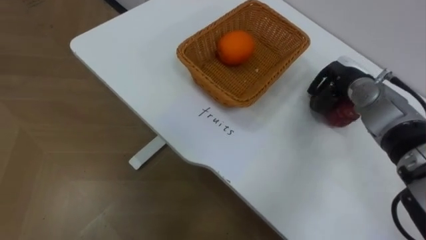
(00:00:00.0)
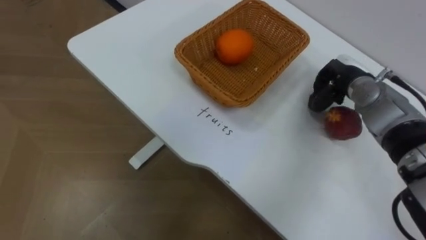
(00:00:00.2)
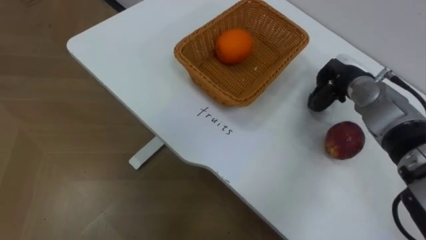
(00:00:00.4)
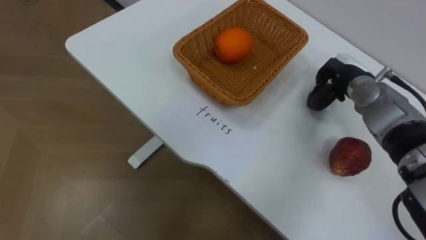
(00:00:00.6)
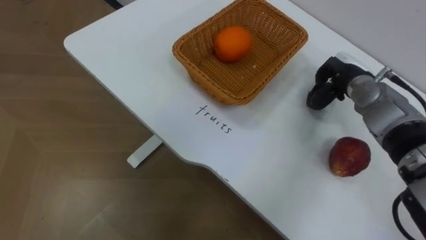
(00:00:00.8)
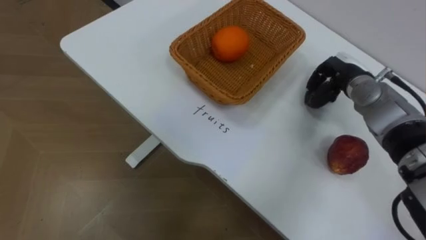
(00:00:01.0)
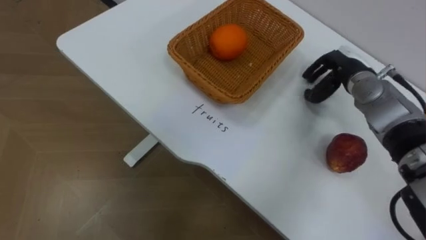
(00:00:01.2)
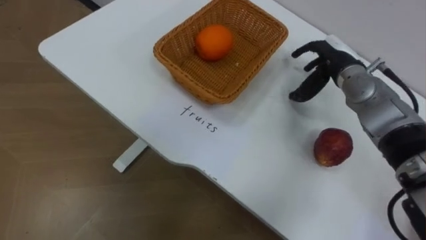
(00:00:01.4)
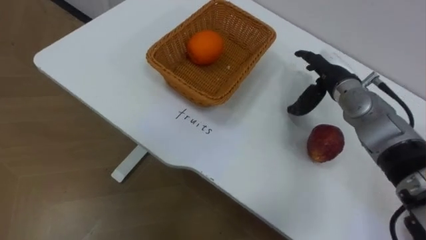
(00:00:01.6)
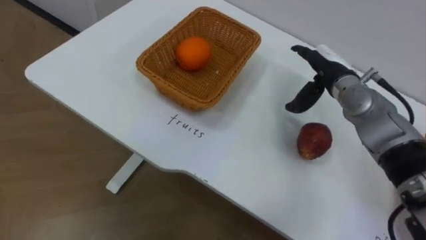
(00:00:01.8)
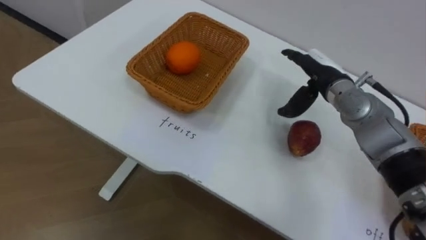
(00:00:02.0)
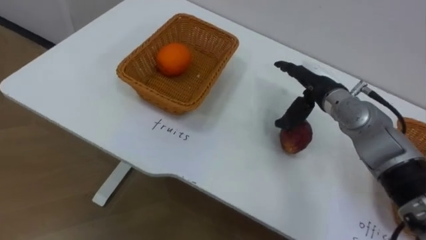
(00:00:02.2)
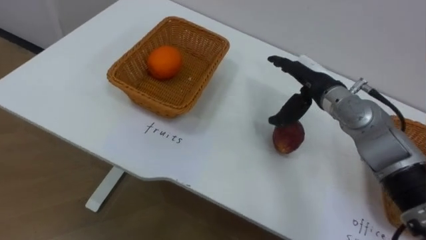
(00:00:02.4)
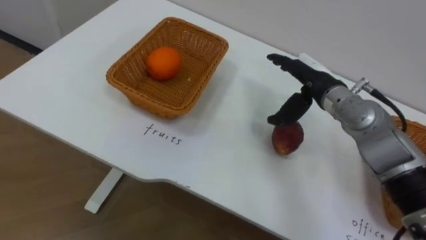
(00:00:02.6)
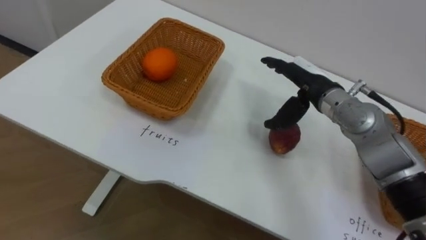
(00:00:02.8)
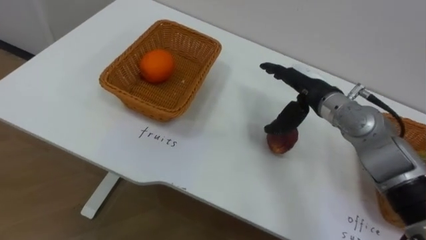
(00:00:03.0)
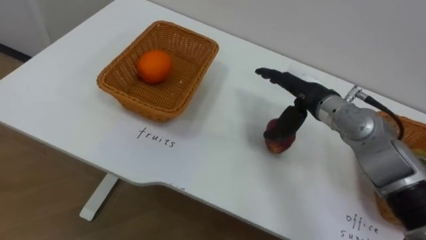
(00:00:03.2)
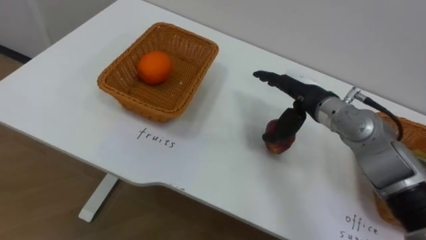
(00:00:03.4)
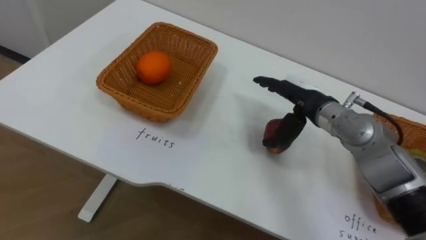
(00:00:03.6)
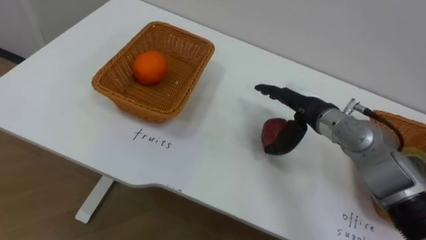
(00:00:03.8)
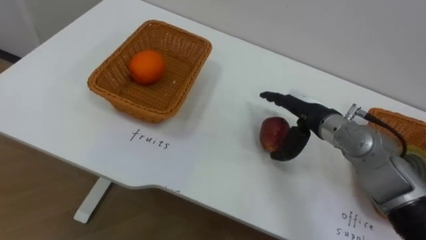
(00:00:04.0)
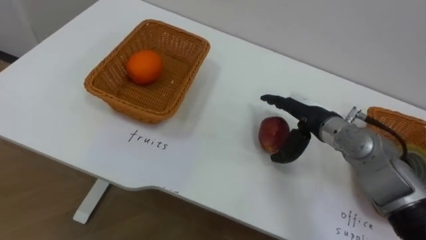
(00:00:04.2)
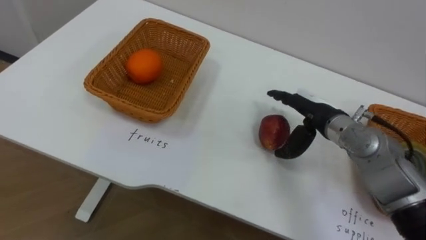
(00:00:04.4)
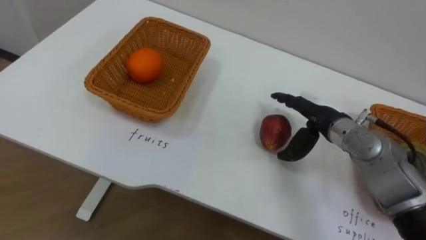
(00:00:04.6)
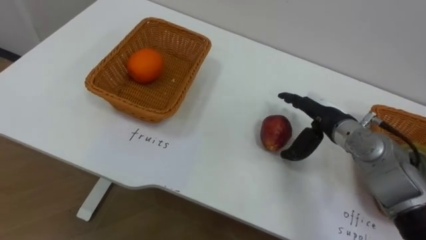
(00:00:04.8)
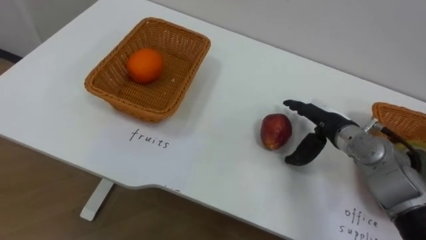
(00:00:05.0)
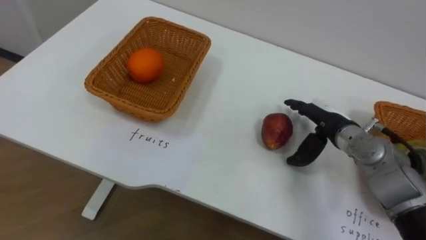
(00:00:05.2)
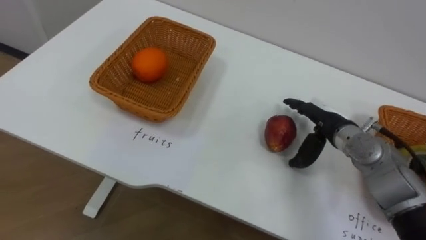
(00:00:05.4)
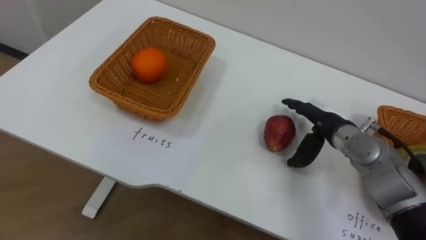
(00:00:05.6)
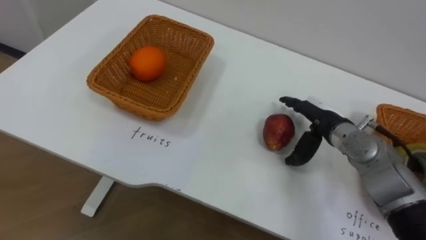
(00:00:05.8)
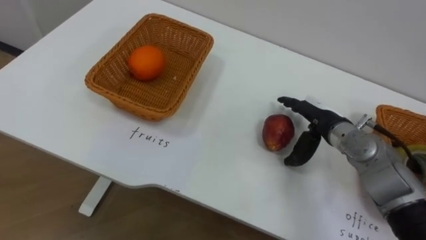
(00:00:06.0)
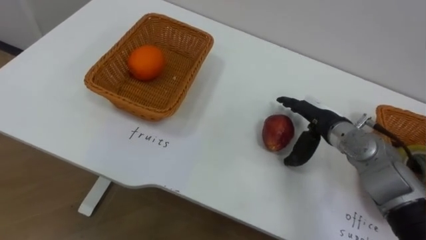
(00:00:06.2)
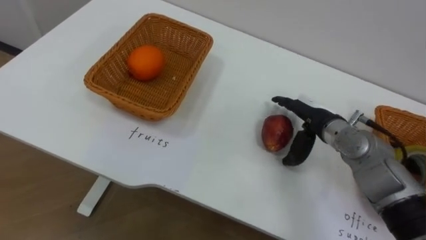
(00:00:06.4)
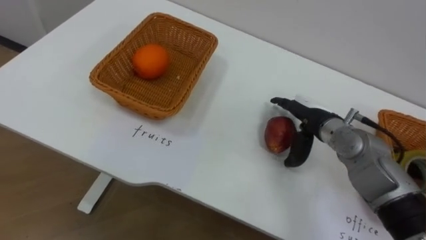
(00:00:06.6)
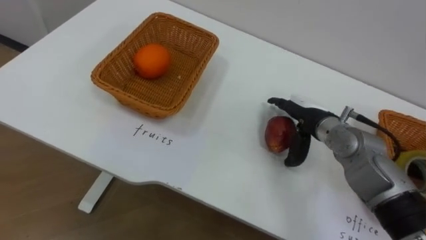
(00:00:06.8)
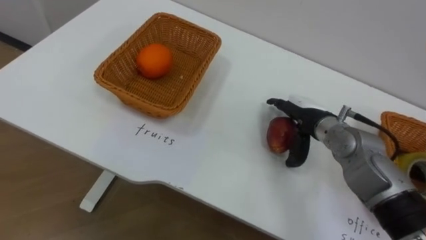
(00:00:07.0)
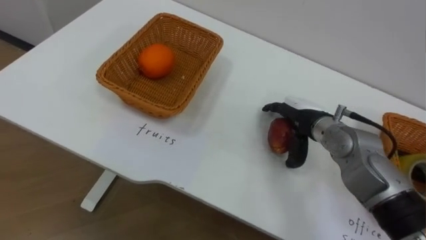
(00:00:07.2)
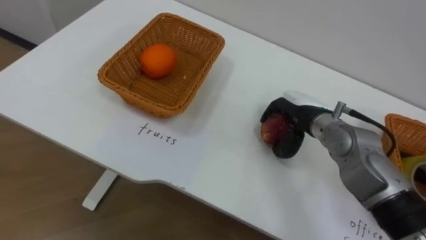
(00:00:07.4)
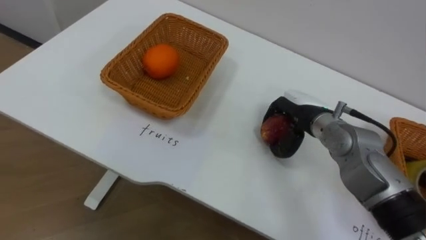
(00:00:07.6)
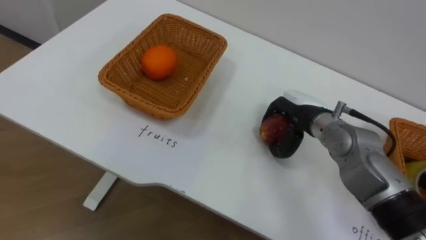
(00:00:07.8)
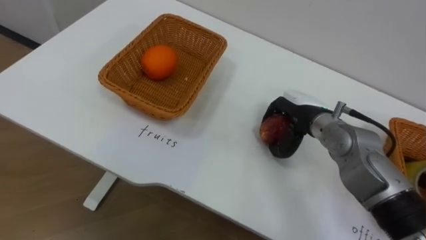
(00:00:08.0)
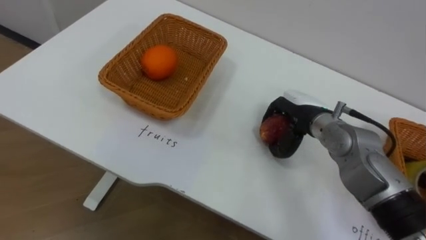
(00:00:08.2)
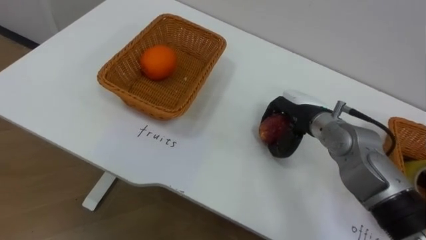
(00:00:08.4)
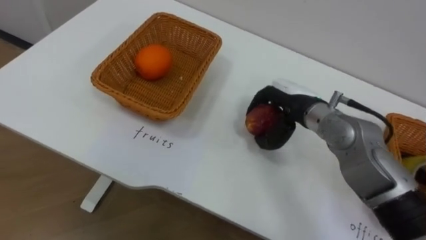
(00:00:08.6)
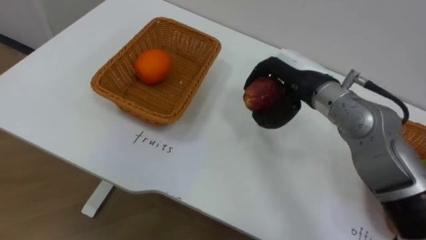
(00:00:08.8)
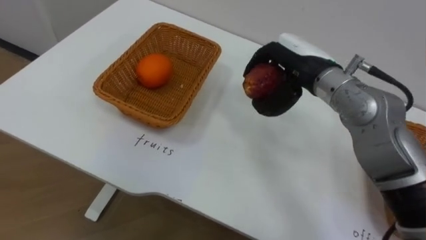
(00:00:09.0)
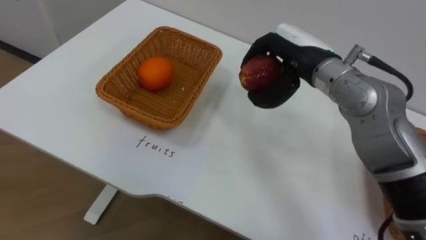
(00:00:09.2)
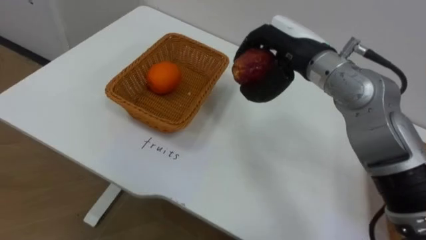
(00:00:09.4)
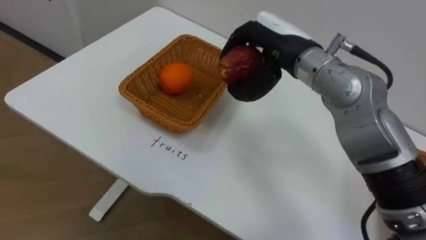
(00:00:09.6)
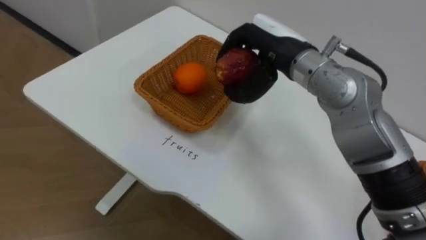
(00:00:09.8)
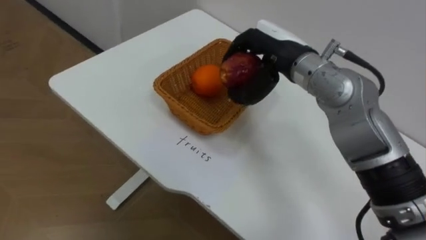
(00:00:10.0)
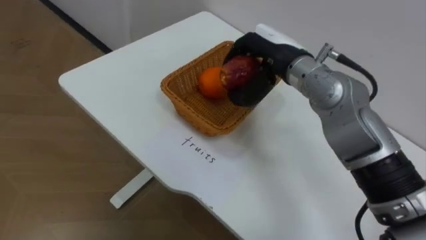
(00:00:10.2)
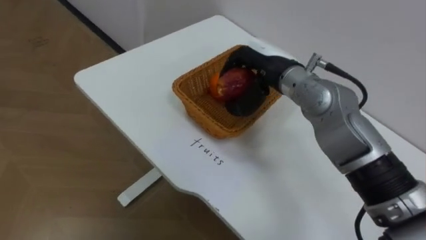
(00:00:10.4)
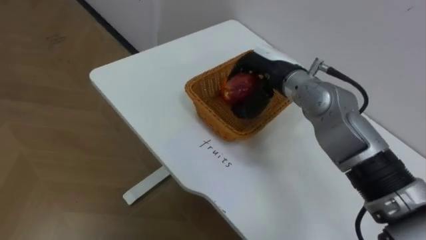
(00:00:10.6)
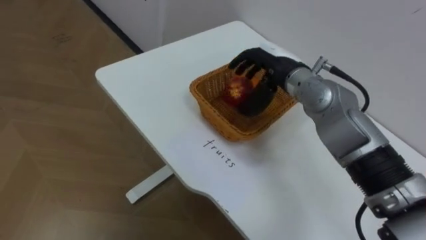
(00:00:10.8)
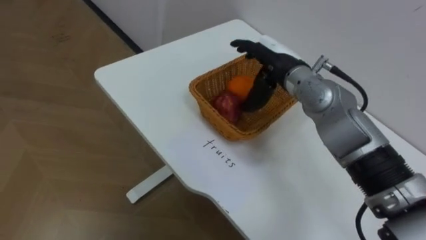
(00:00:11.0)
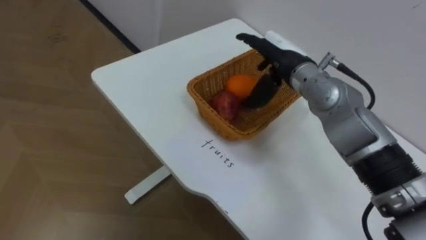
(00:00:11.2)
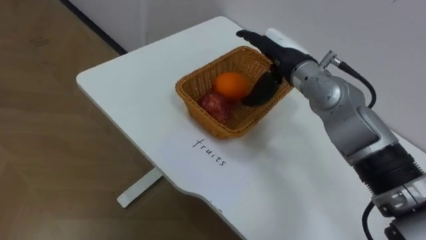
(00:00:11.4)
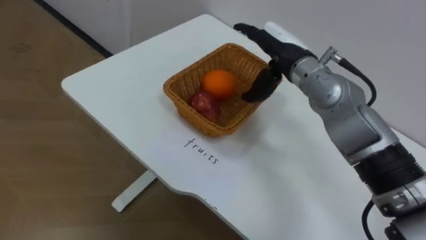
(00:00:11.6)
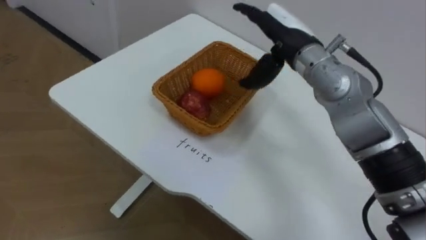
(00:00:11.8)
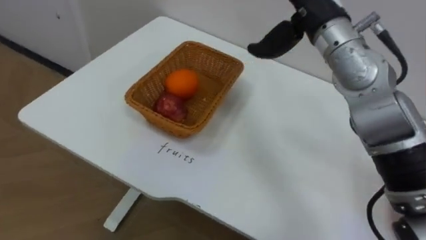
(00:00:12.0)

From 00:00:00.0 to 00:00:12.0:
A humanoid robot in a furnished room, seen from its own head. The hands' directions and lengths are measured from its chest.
Task of the whole recording: Separate the items on the table and place them into the two baskets.
From 00:00:00.0 to 00:00:01.6: The right hand opens.
From 00:00:01.6 to 00:00:03.0: The right hand heads to the left, covering about 5 cm.
From 00:00:03.0 to 00:00:04.4: The right hand ends up approximately 5 cm from where it was.
From 00:00:06.0 to 00:00:07.6: The right hand closes its fingers.
From 00:00:07.6 to 00:00:09.0: The right hand travels upward by about 10 cm.
From 00:00:09.0 to 00:00:10.4: The right hand goes about 5 cm to the left.
From 00:00:10.4 to 00:00:12.0: The right hand heads upward, covering some 10 cm, and opens its fingers.

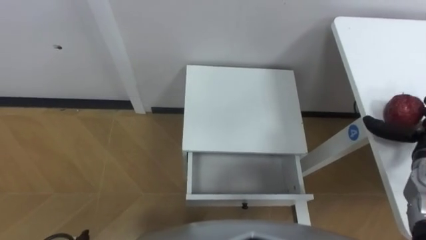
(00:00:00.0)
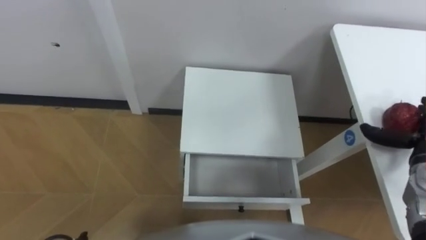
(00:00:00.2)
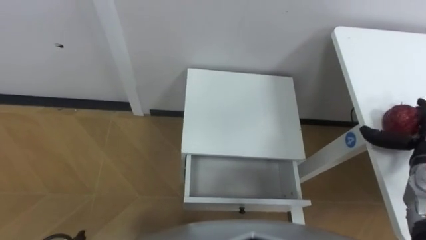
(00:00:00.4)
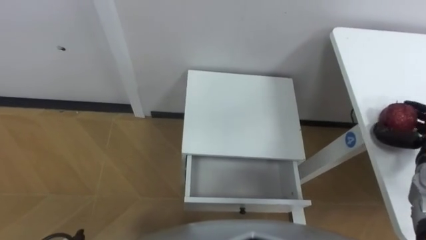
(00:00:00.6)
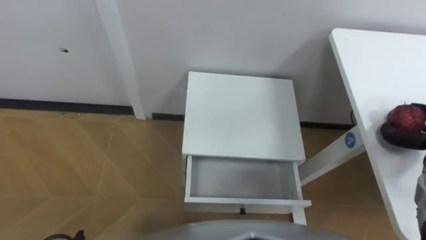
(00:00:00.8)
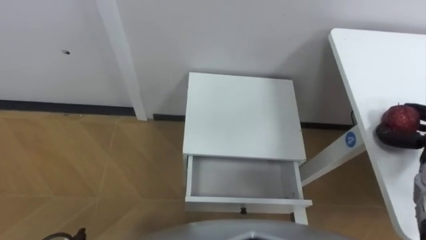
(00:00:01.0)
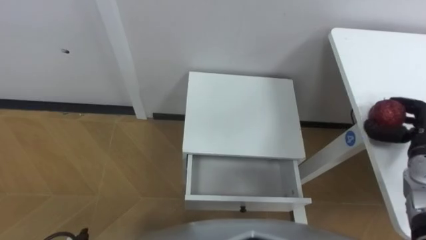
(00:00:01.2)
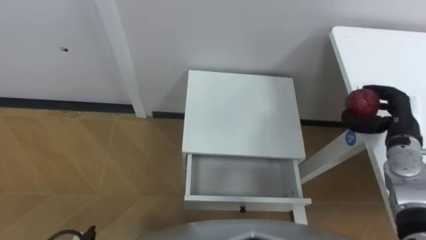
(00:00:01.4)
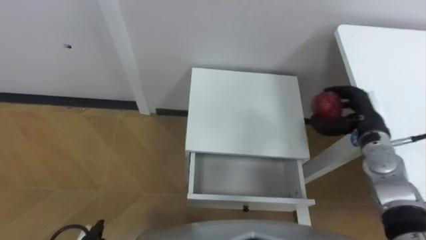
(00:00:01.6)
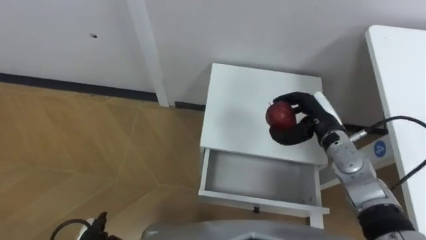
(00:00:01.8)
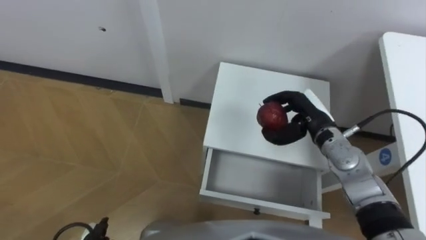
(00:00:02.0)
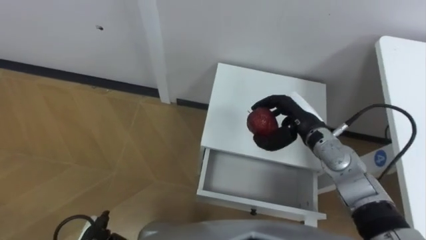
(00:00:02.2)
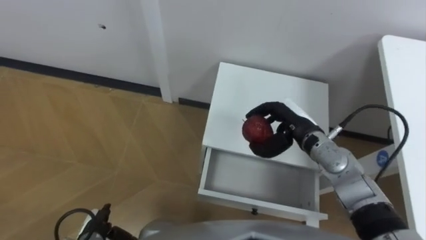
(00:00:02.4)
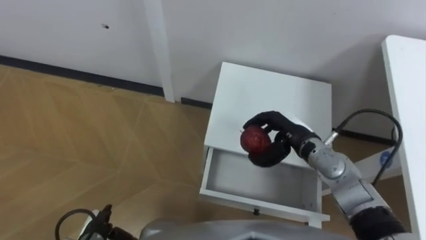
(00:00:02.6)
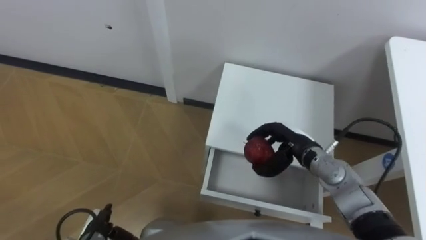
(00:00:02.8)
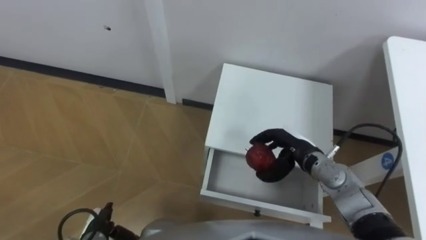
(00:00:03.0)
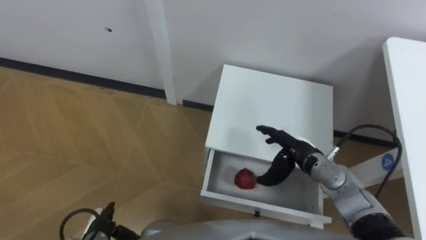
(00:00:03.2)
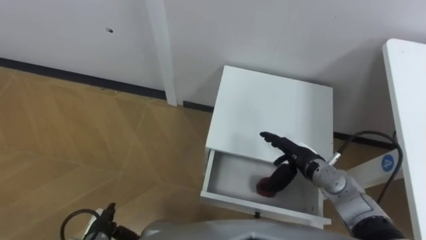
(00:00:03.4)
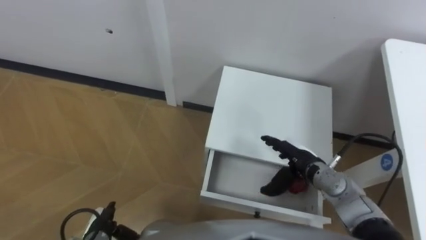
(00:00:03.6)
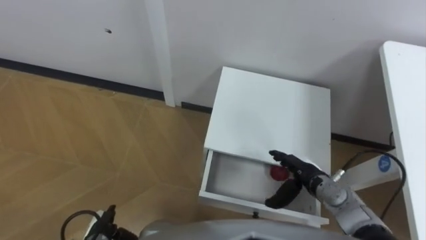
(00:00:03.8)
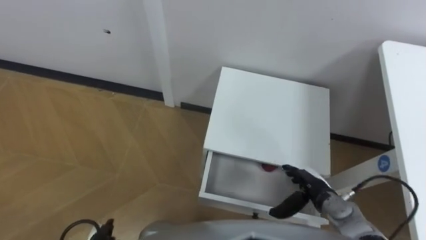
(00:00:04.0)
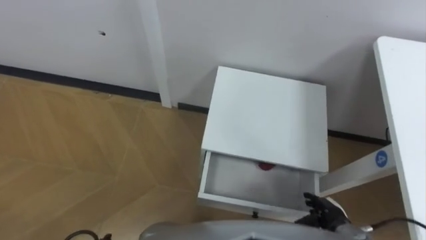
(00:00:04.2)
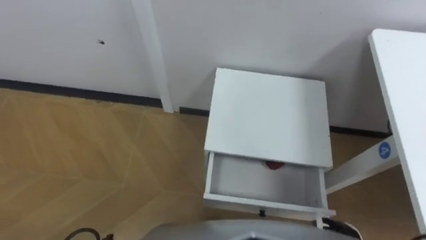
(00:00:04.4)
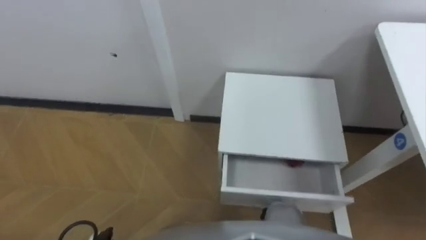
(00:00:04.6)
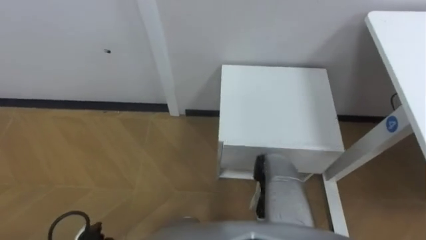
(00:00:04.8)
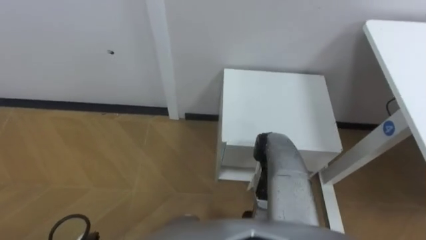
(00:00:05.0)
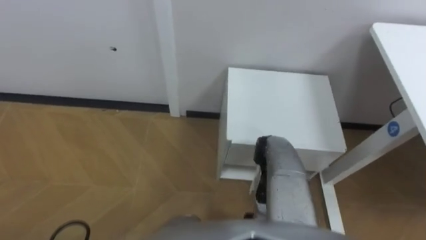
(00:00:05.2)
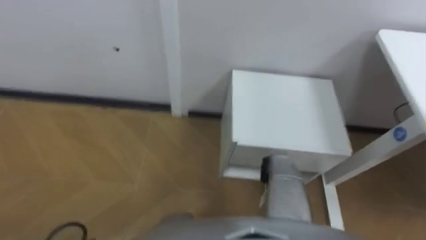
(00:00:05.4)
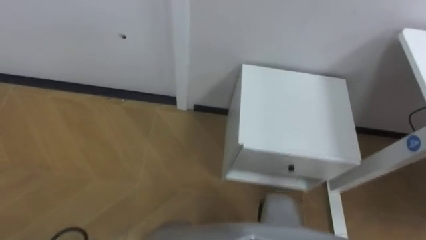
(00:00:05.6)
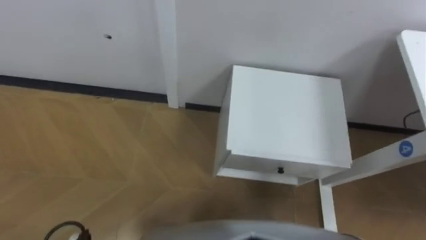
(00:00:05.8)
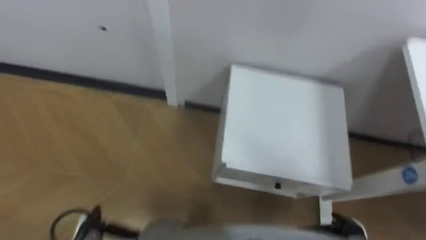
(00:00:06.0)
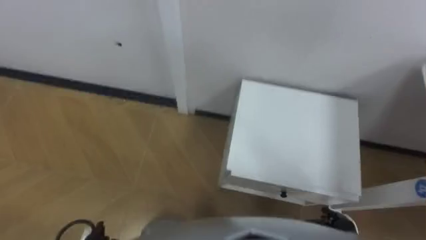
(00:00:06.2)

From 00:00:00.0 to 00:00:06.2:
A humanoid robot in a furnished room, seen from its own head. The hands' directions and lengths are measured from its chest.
Task of the whole recording: Pick up the apple from the table, put it in the drawer, and close the drawer with leg.
From 00:00:01.6 to 00:00:03.2: The right hand heads to the left and downward, covering about 15 cm, and opens.
